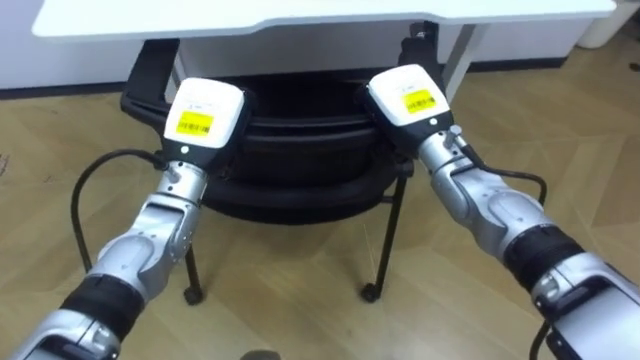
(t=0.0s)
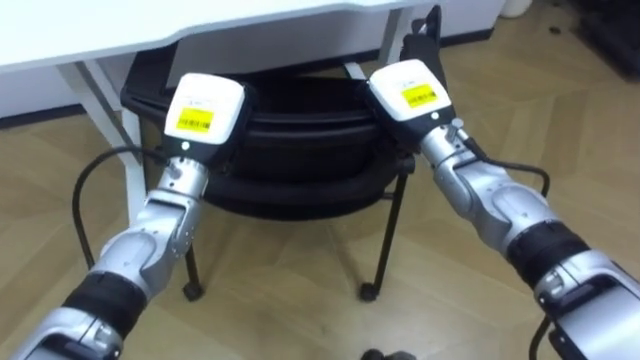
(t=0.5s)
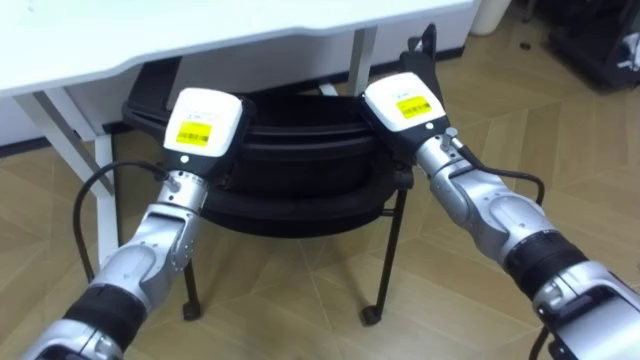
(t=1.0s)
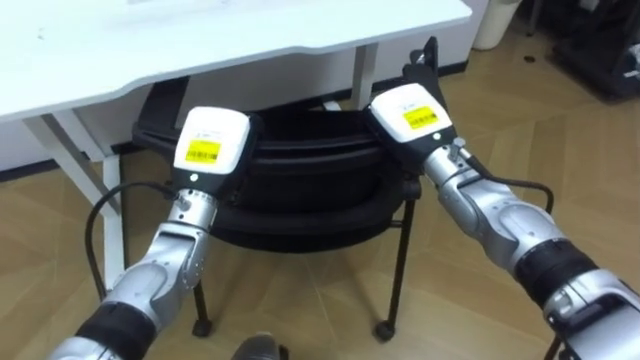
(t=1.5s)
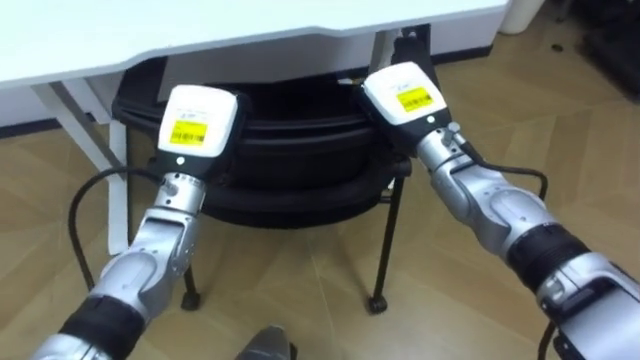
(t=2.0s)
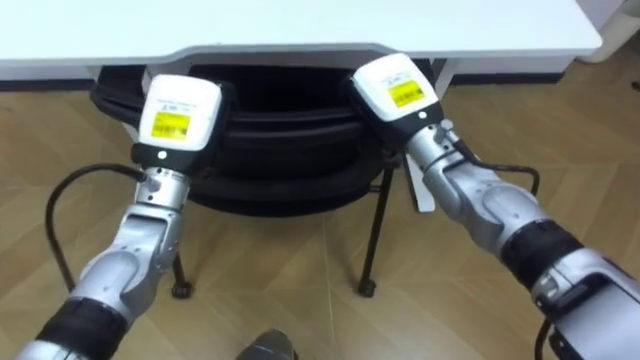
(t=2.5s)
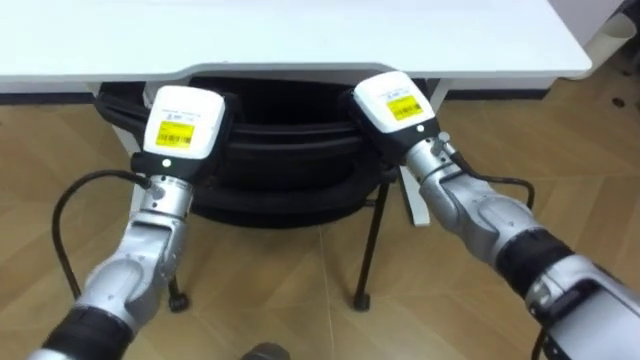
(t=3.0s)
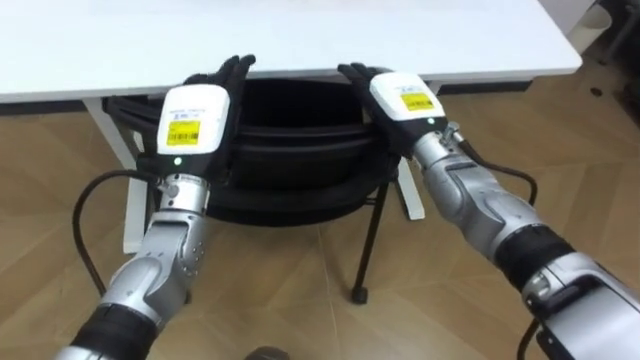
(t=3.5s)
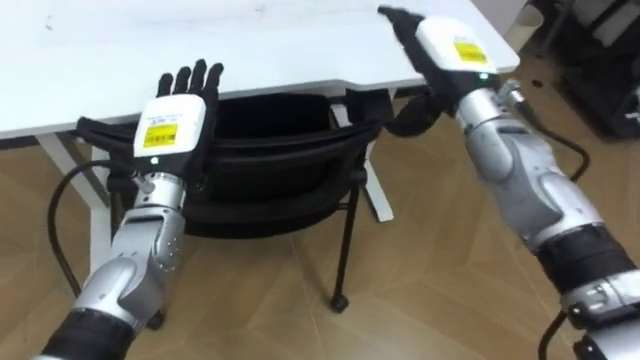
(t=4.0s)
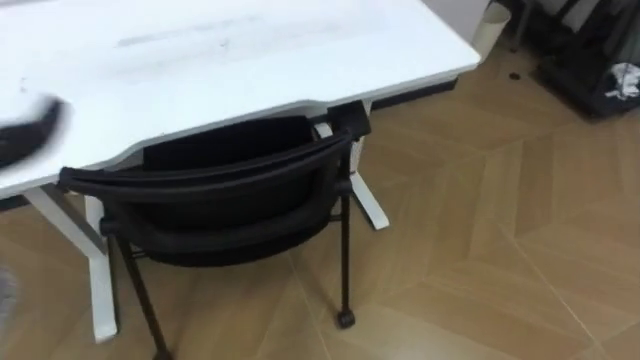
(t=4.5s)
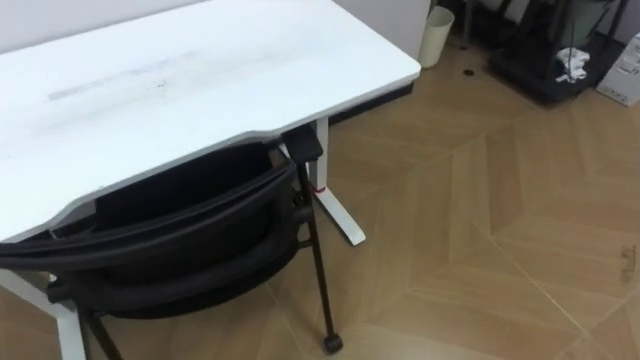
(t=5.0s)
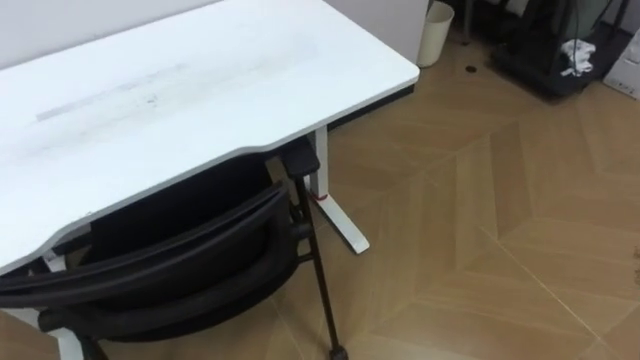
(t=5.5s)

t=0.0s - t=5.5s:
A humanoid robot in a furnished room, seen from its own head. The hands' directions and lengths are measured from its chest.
Task of the whole recording: Push the chair under the table.
t=2.0s - t=3.5s: The right hand opens, while the left hand opens up.
